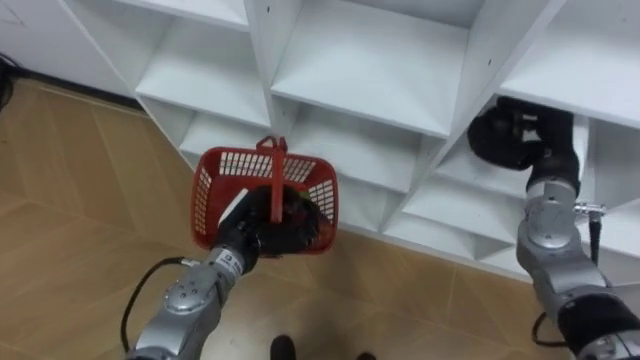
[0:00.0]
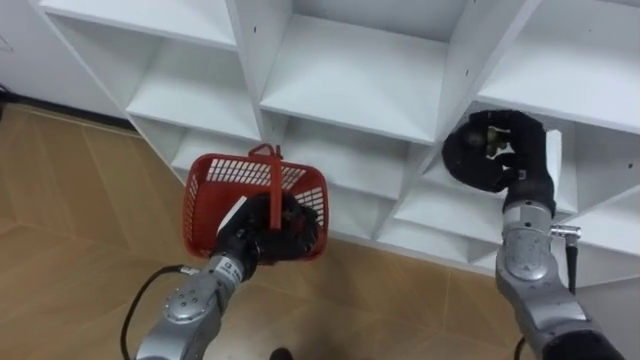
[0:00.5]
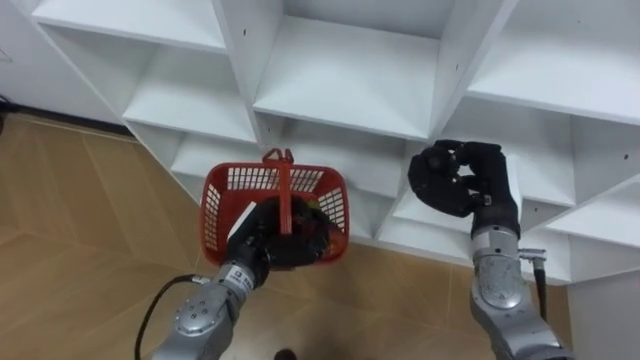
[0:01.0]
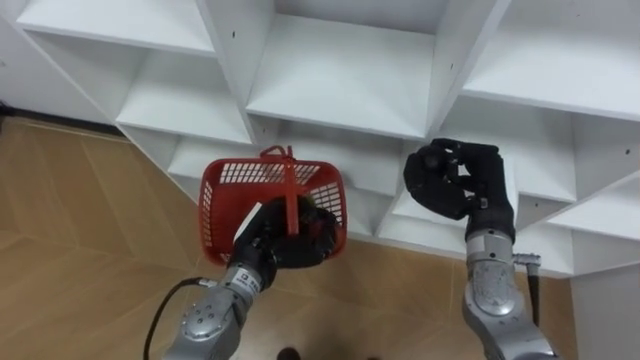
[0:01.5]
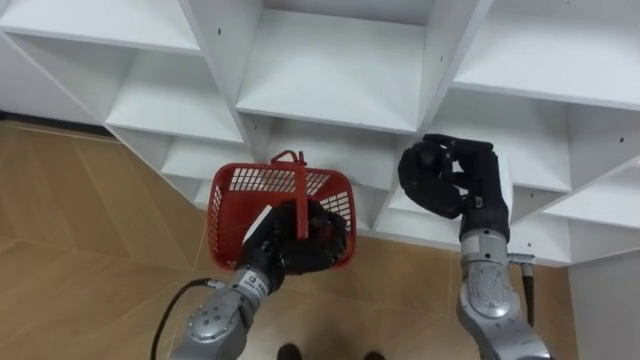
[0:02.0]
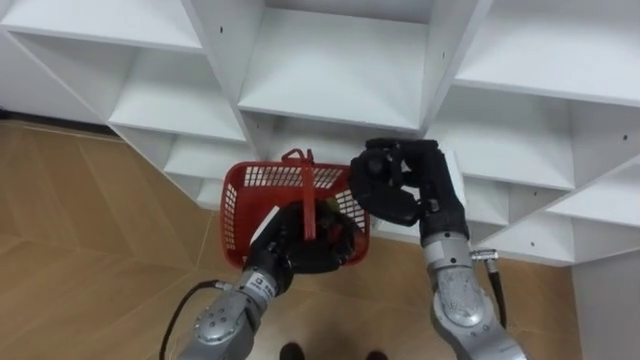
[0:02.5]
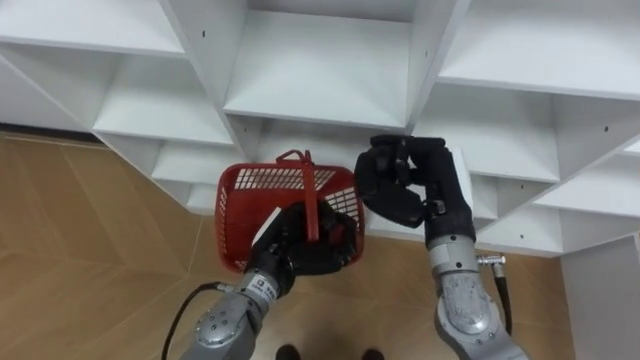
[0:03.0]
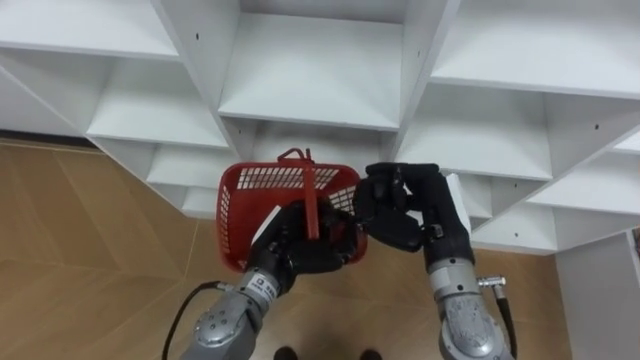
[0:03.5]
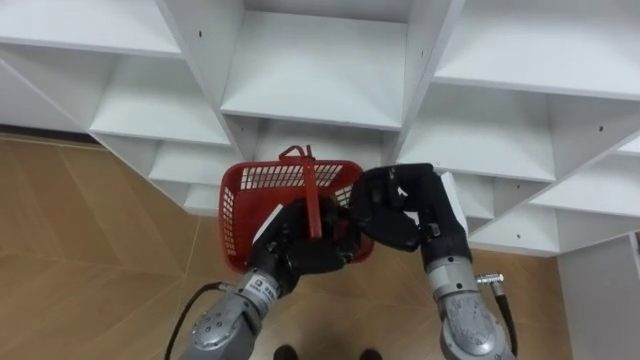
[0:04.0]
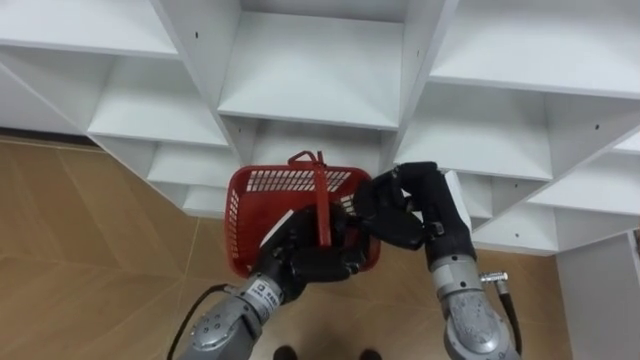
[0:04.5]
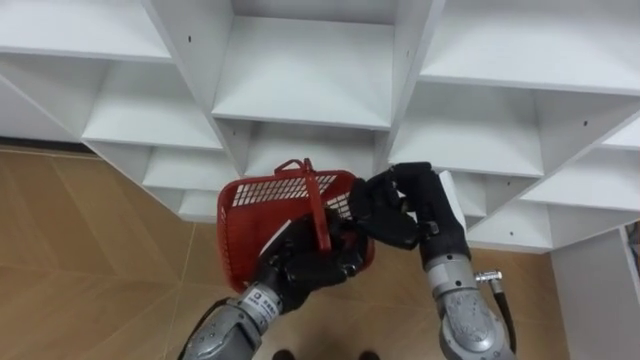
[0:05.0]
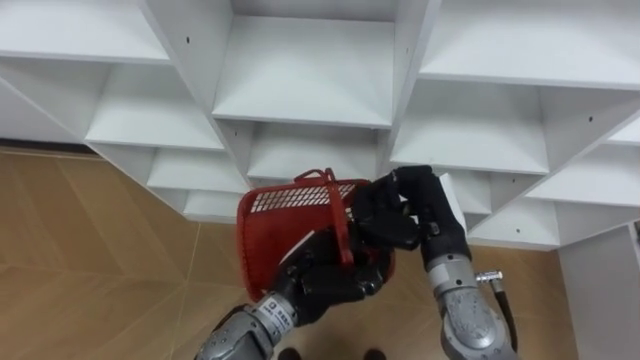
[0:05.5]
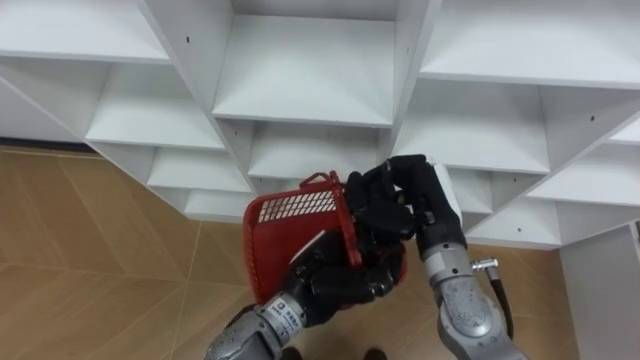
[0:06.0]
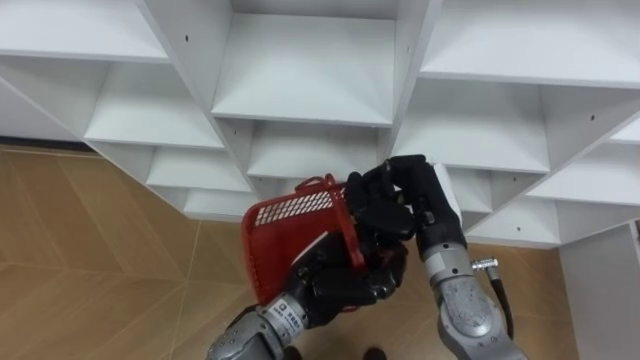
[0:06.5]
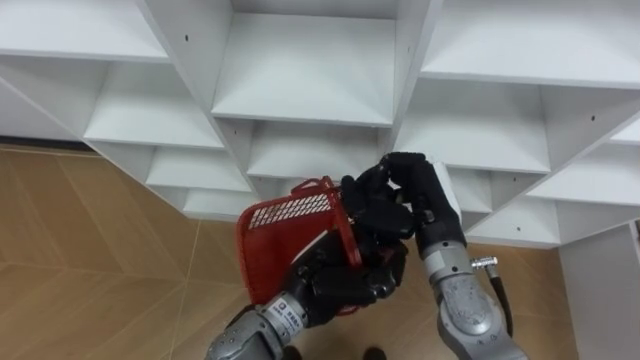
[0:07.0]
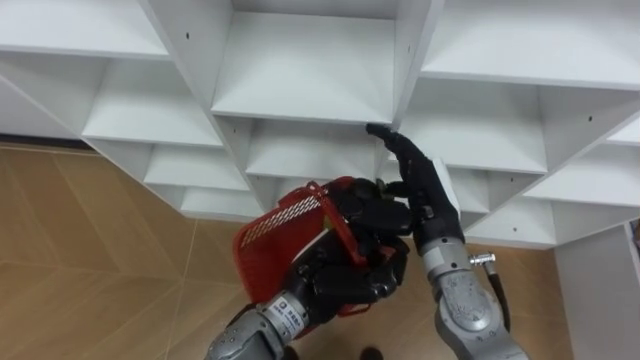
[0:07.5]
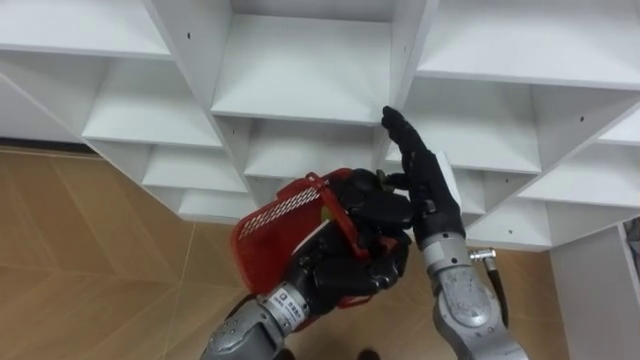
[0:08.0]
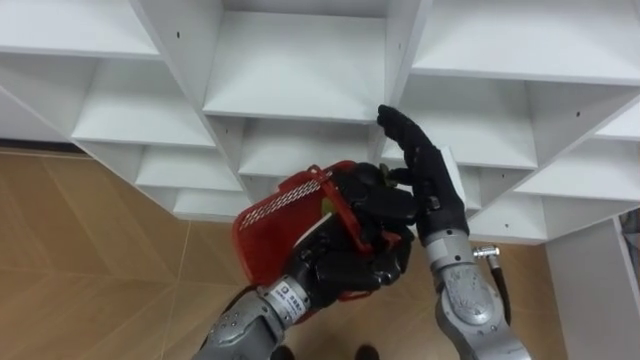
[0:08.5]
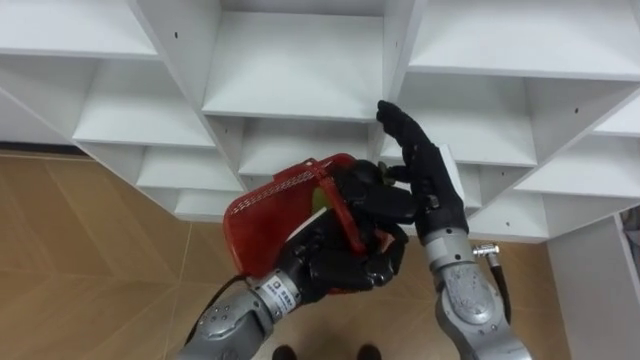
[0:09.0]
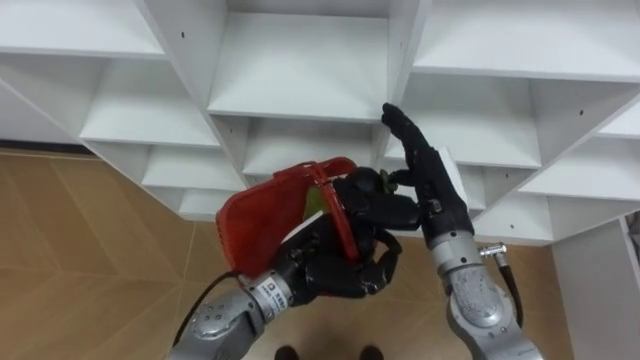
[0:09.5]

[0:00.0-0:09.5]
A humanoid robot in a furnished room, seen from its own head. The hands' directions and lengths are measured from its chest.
Task of the whole recording: Hold the basket and collect the fruits from 3 different cells of the closet into it.
0:00.0 to 0:02.0: The right hand moves to the left and backward, about 10 cm.
0:02.0 to 0:04.0: The right hand travels to the left by roughly 5 cm.
0:04.0 to 0:05.5: The left hand changes place by about 5 cm.
0:05.5 to 0:07.5: The right hand opens its fingers.
0:07.5 to 0:09.5: The hands move only a little.

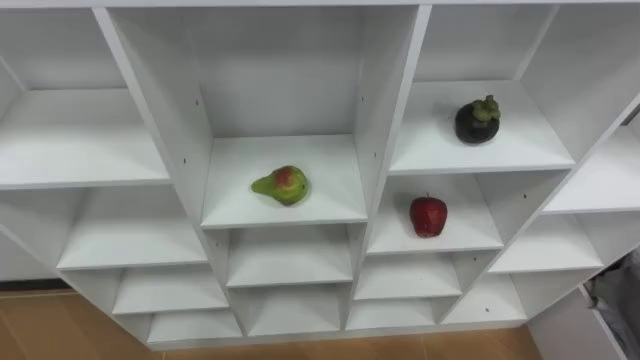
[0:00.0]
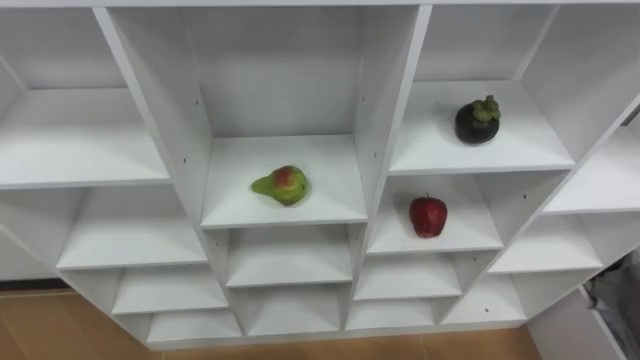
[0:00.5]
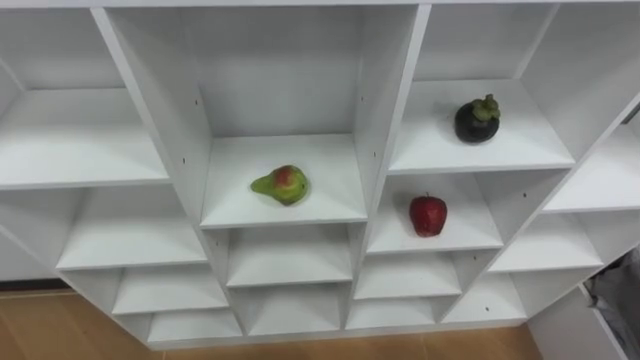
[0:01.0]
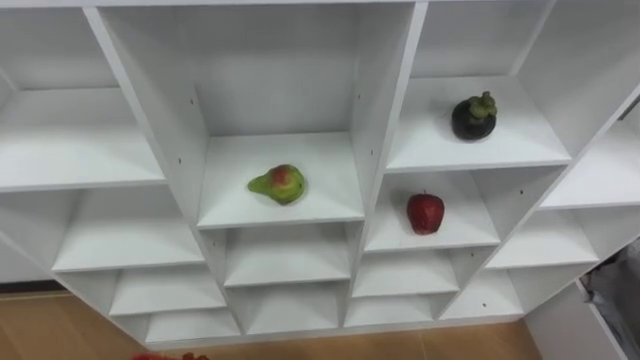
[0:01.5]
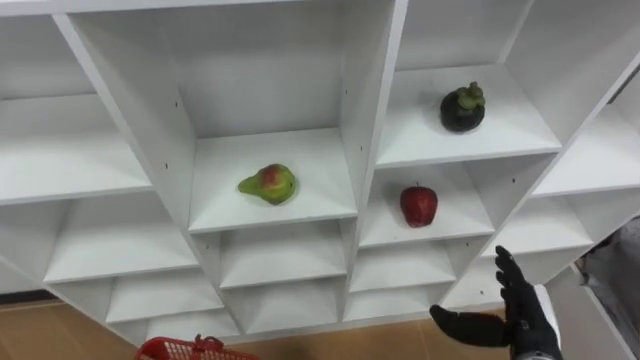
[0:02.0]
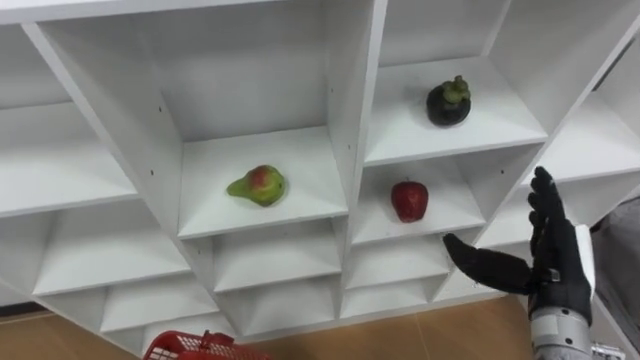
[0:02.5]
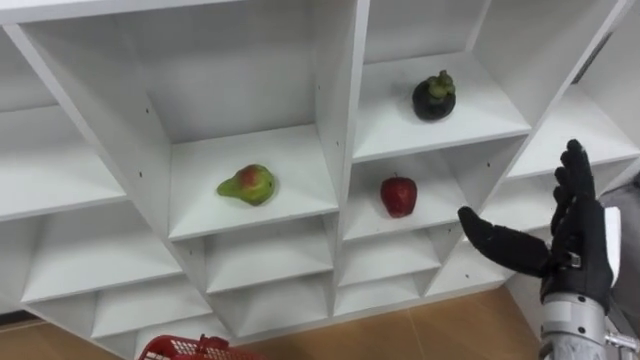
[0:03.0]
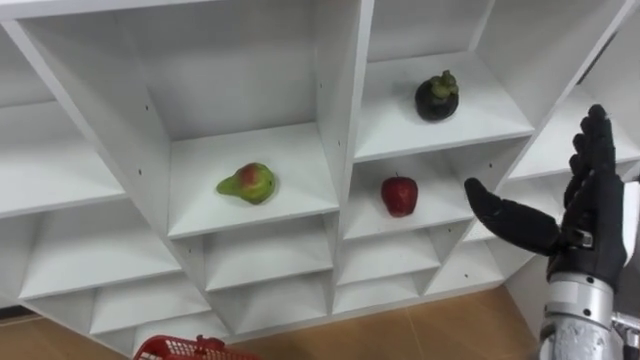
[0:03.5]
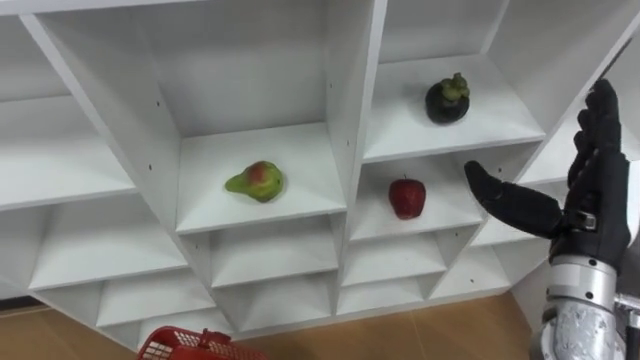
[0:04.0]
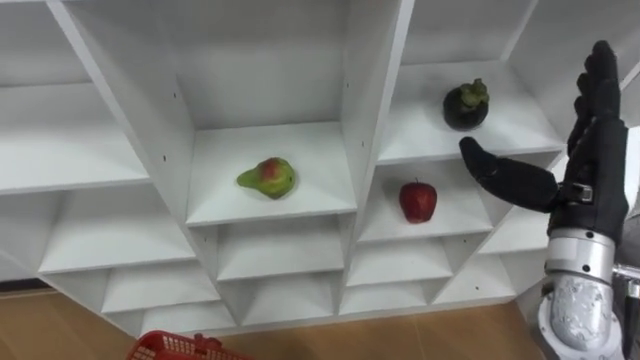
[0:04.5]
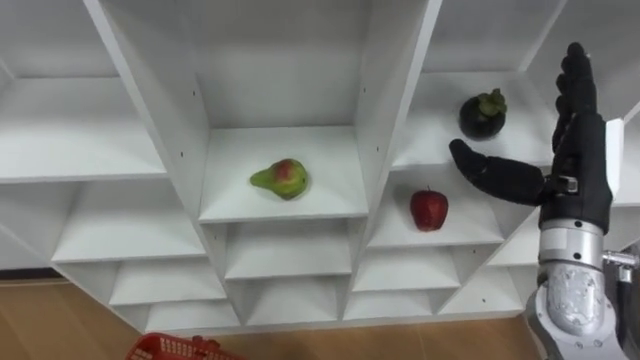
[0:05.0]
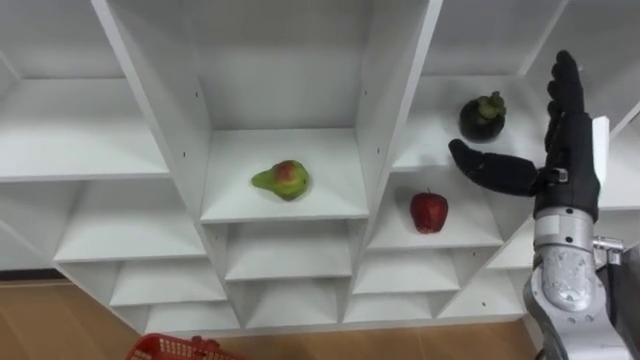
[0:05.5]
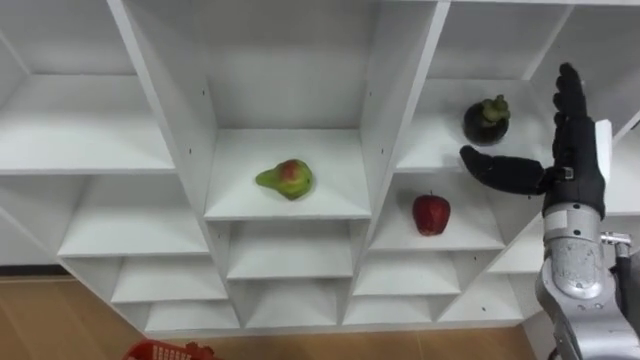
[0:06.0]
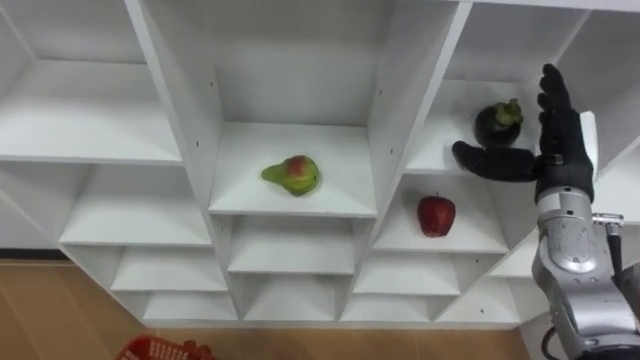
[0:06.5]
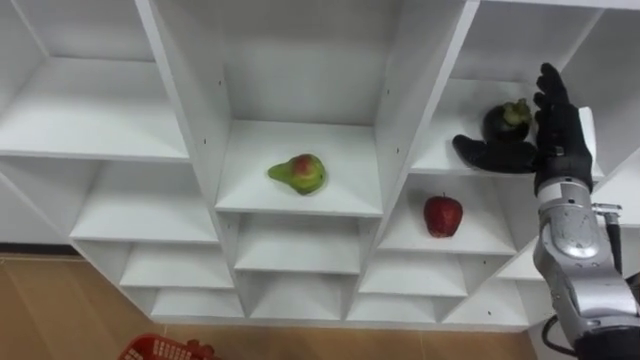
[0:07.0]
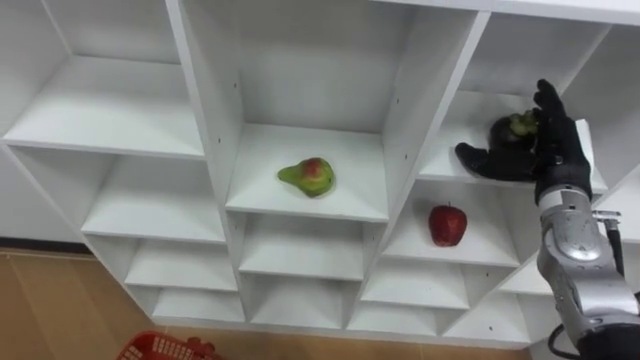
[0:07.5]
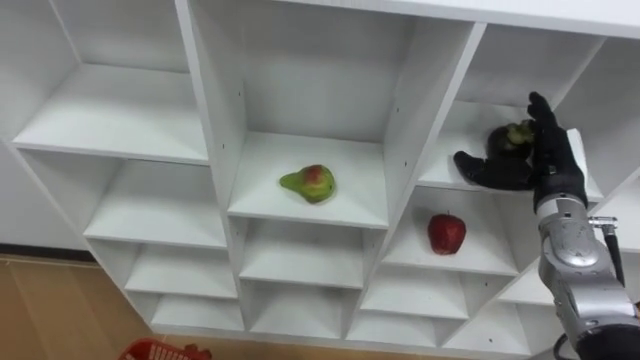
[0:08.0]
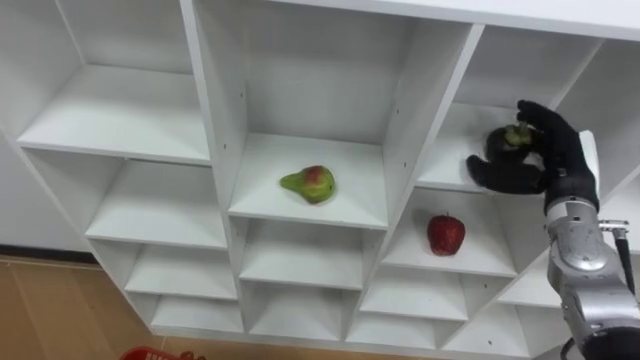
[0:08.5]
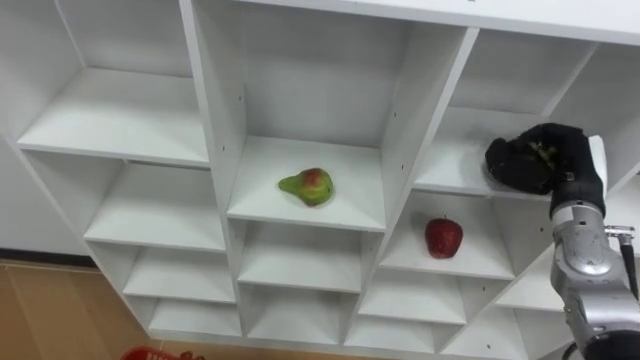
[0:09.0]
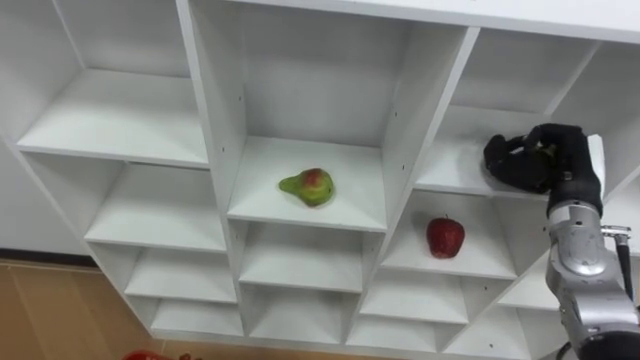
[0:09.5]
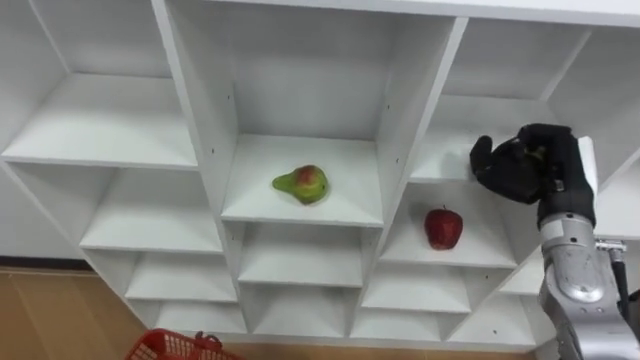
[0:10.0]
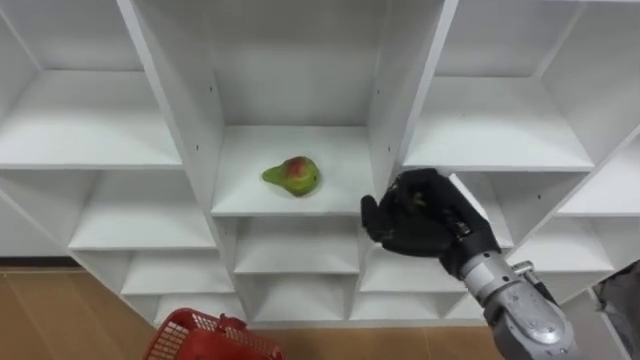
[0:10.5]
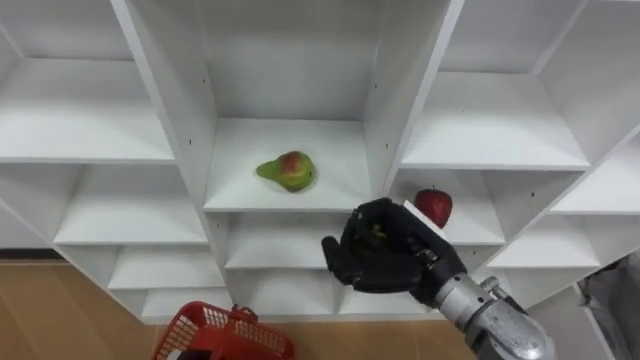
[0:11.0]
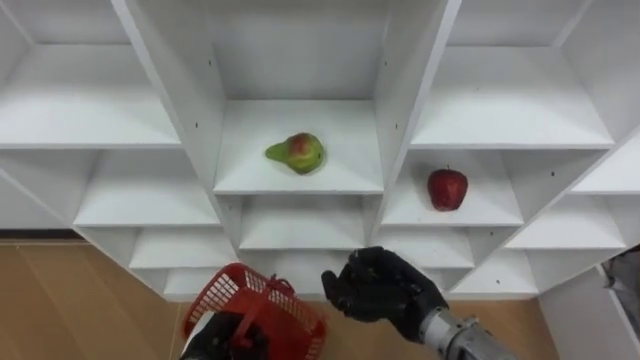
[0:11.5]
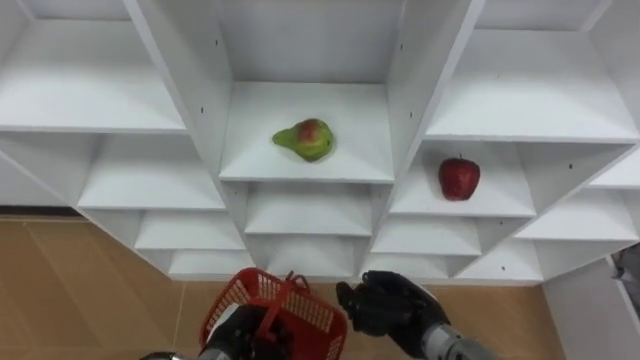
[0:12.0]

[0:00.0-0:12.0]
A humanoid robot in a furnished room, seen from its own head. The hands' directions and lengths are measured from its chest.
Task of the whole recording: Hold the basket and collect the fruits from 3 different cells of the closet into it.
0:02.0 to 0:04.0: The right hand travels upward by approximately 20 cm.
0:04.0 to 0:06.0: The right hand is displaced forward by roughly 5 cm.
0:06.0 to 0:08.0: The right hand shifts roughly 5 cm downward.
0:08.0 to 0:10.0: The right hand closes.
0:10.0 to 0:12.0: The right hand is displaced to the left, downward and backward by some 25 cm.
